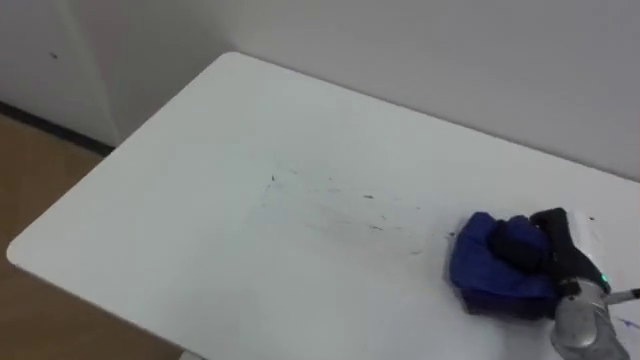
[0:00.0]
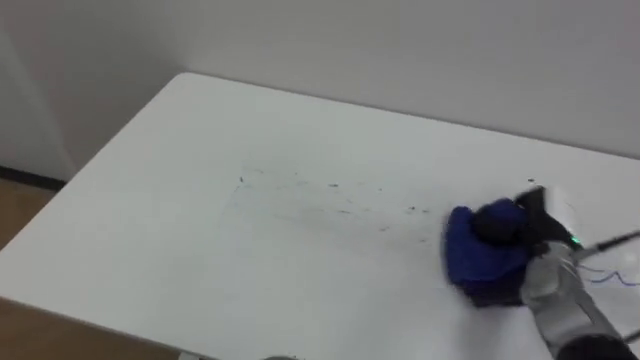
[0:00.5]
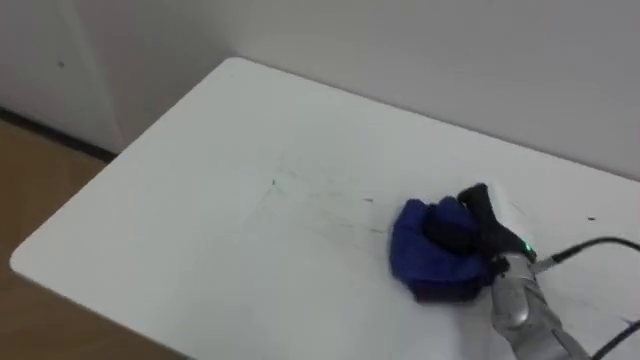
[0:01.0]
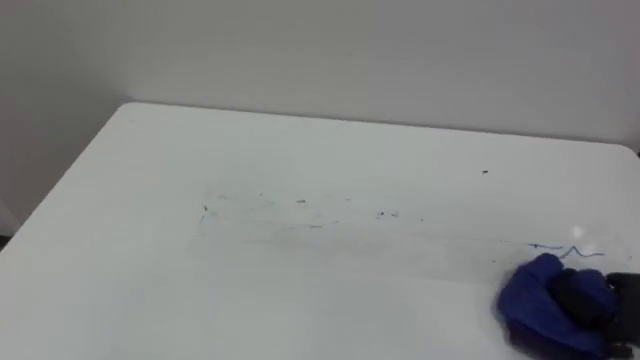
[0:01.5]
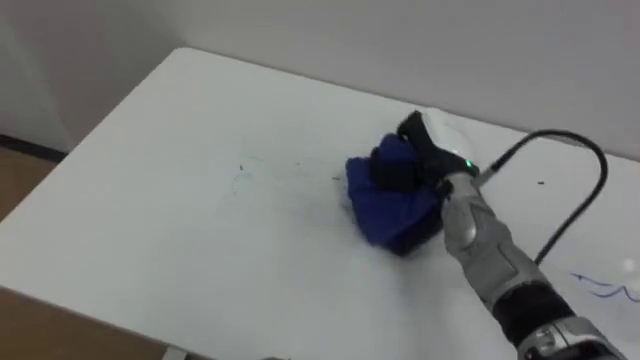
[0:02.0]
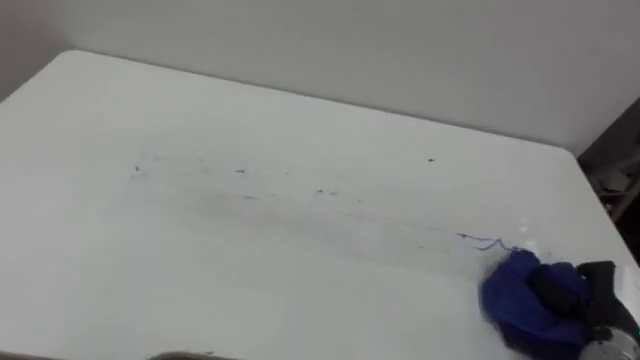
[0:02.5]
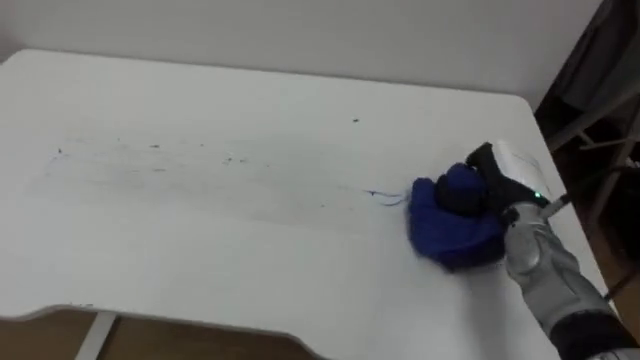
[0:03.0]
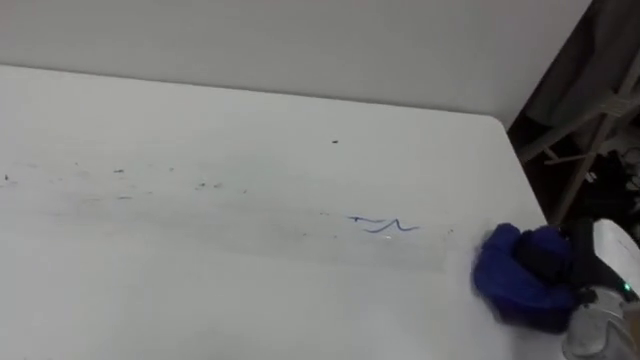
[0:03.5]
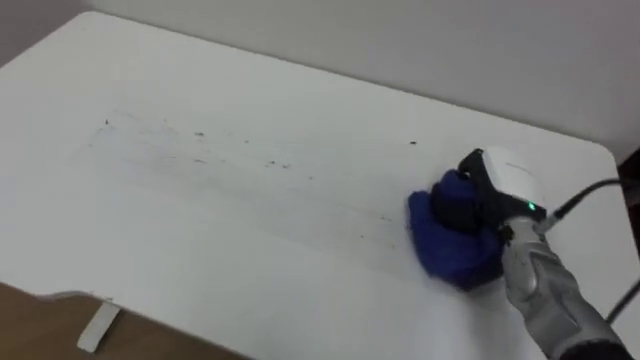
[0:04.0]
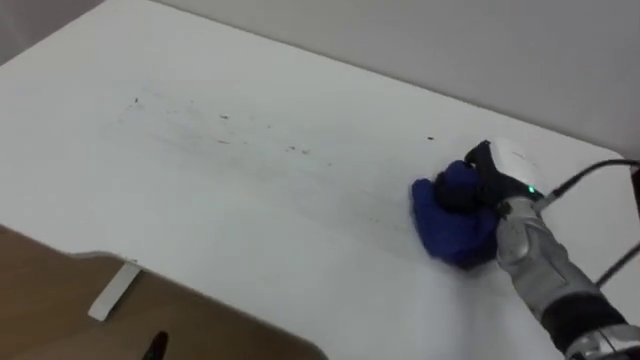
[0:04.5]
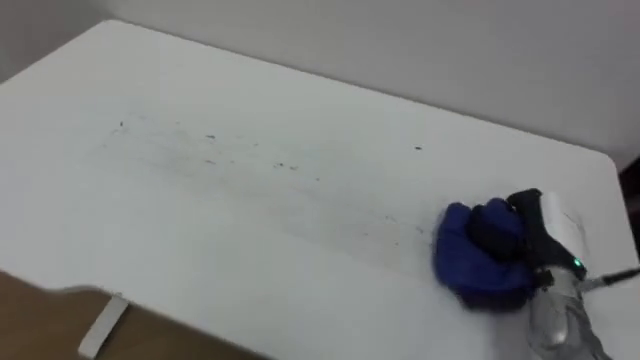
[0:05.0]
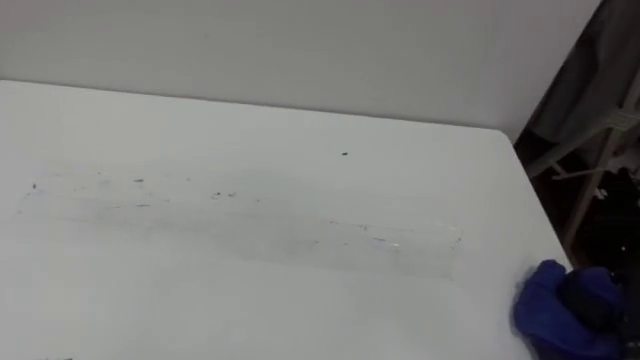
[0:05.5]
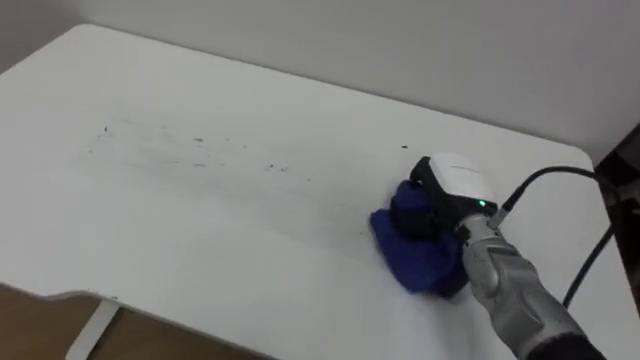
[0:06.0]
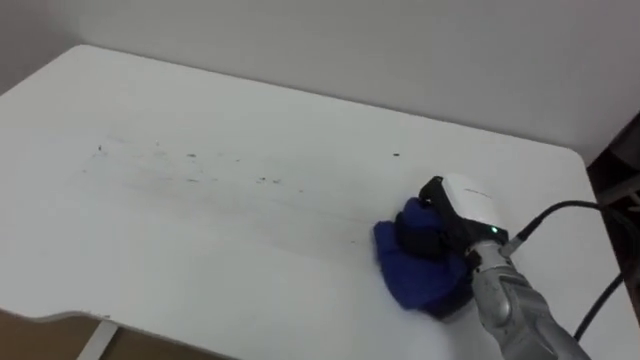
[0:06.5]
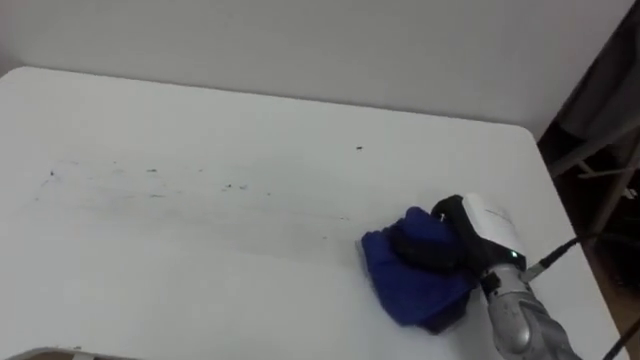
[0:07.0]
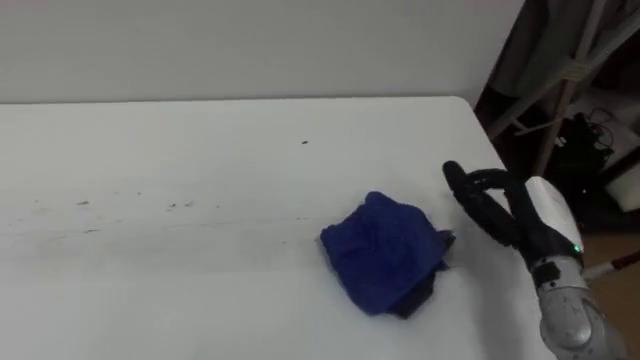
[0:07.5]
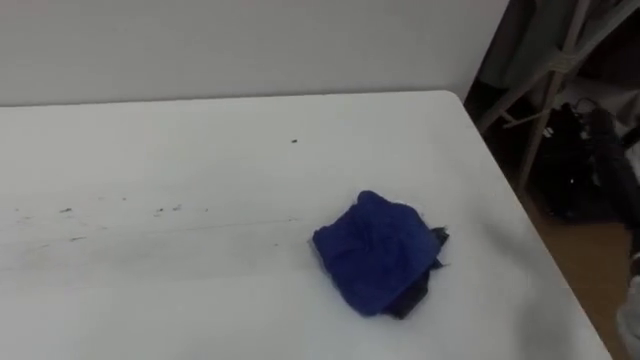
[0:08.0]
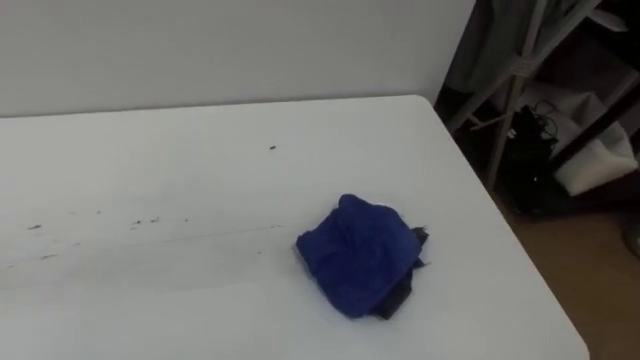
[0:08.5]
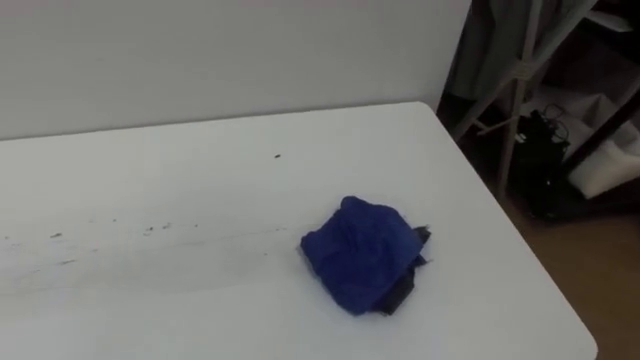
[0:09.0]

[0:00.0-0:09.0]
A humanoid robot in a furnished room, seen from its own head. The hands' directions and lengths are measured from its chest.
Task of the whole recording: Wipe the blue pen marks off the table with the rag.
0:00.0 to 0:02.0: The right hand moves left and right over some 25 cm, changing direction 2 times.
0:02.0 to 0:04.5: The right hand moves left and right over about 20 cm, changing direction 3 times.
0:04.5 to 0:07.0: The right hand goes about 5 cm backward, and reaches about 15 cm to the right, then returns.

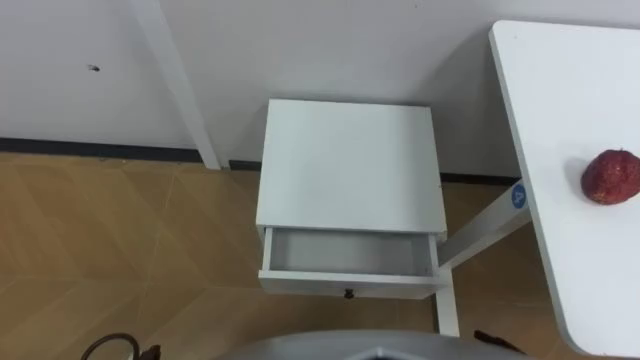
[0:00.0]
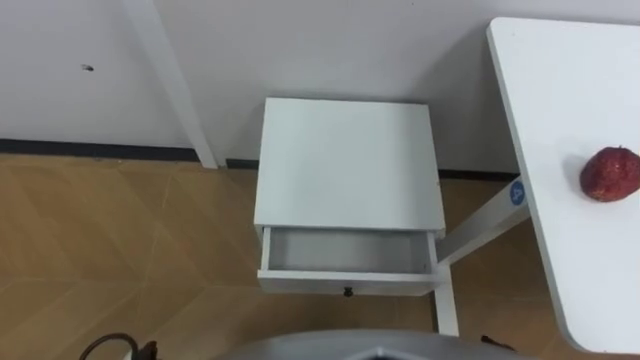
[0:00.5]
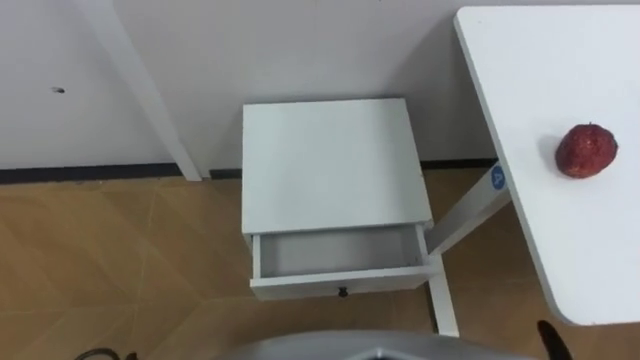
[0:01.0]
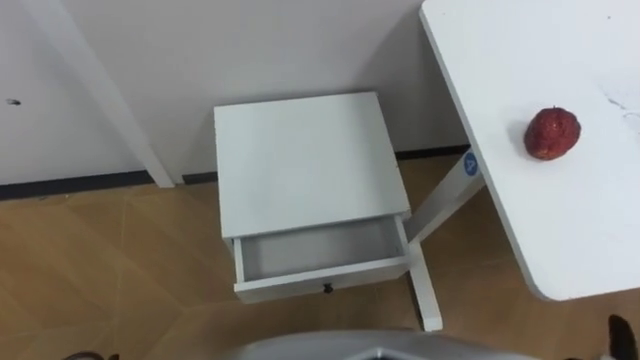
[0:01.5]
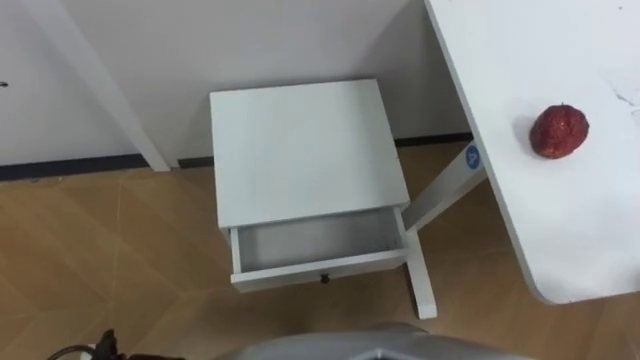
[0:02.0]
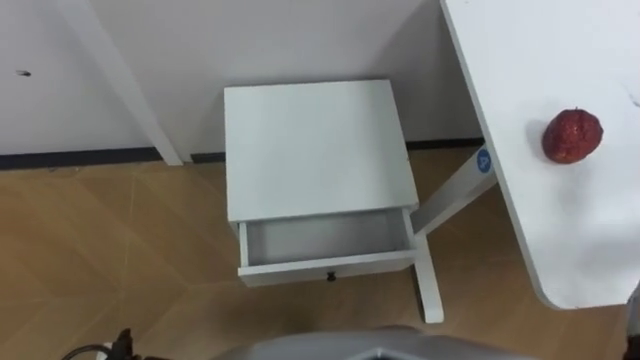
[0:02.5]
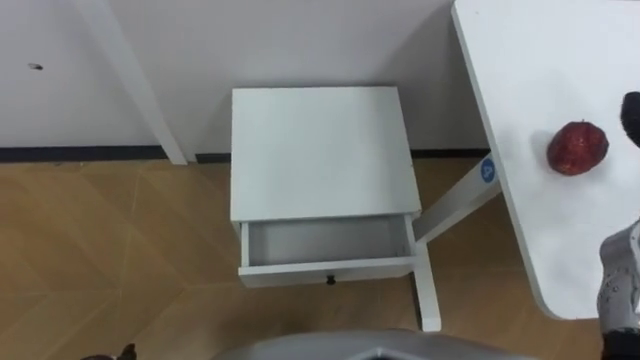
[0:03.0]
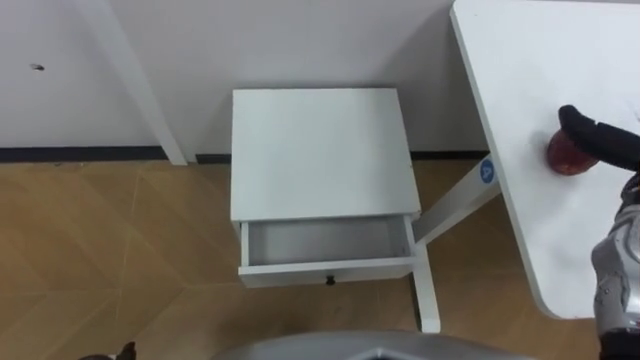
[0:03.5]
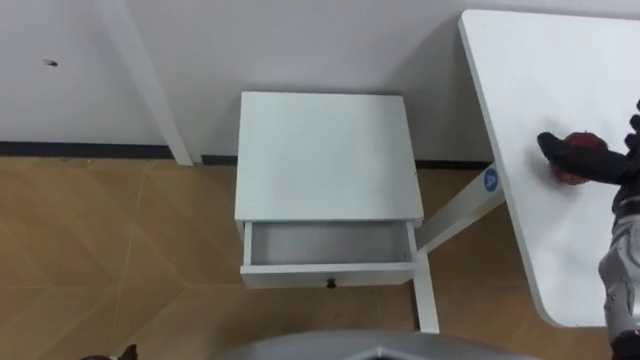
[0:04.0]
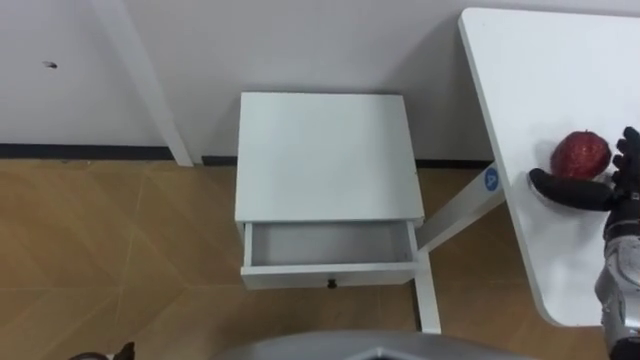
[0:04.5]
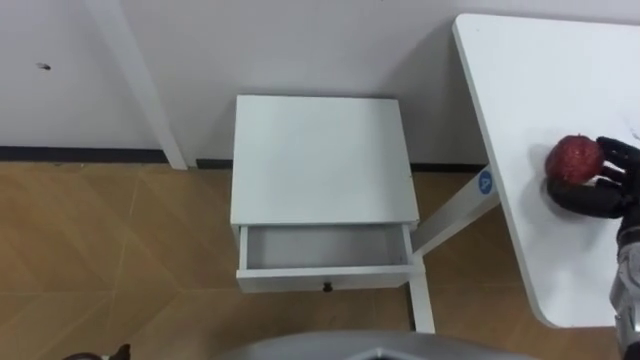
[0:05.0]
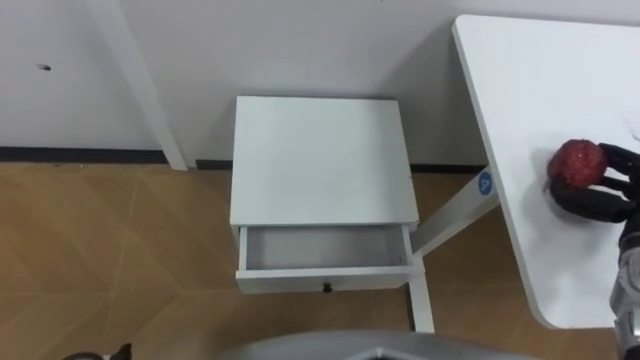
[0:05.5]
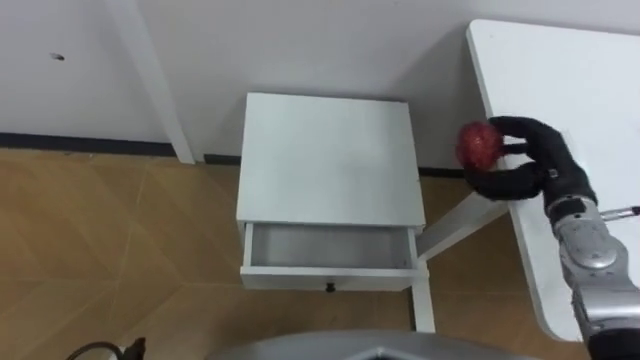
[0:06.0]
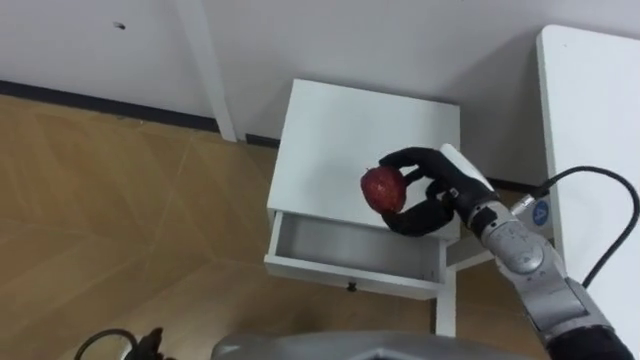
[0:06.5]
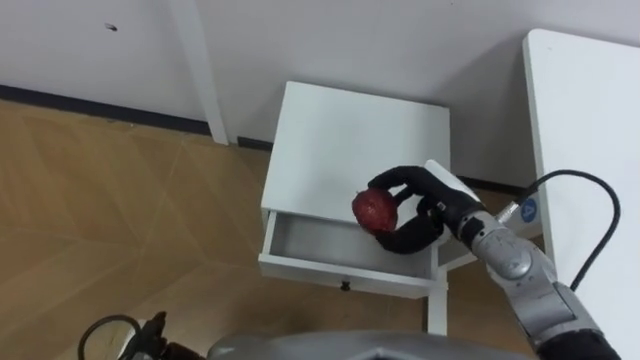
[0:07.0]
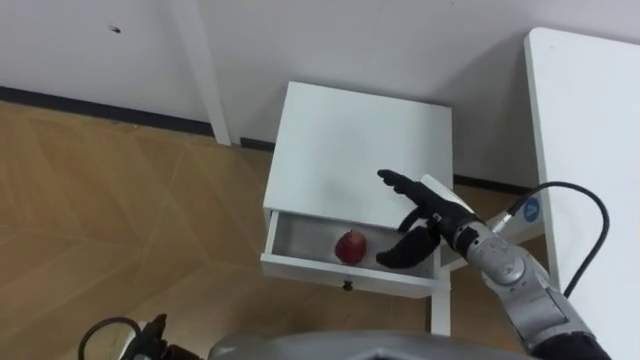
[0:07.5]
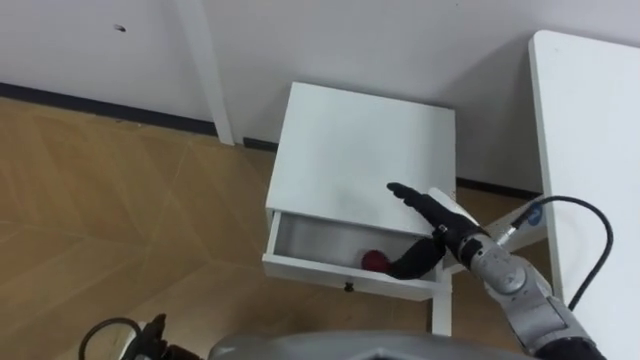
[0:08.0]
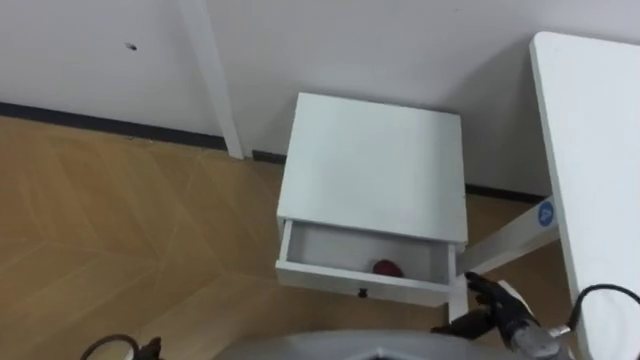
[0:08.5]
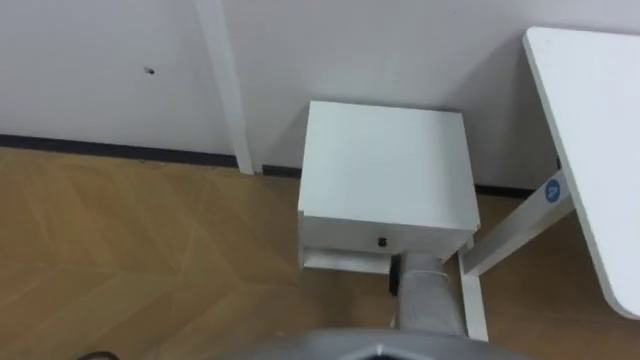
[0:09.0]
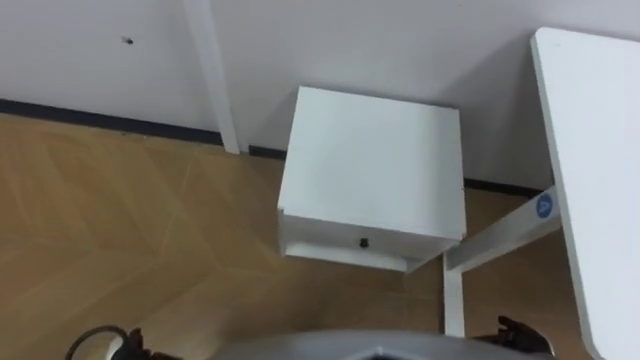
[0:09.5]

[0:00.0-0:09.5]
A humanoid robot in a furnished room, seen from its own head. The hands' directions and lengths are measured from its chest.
Task of the whole recording: Pick up the apple from the table, put it in the drawer, and close the drawer with leg.
0:05.5 to 0:07.5: The right hand is displaced to the left by roughly 25 cm.

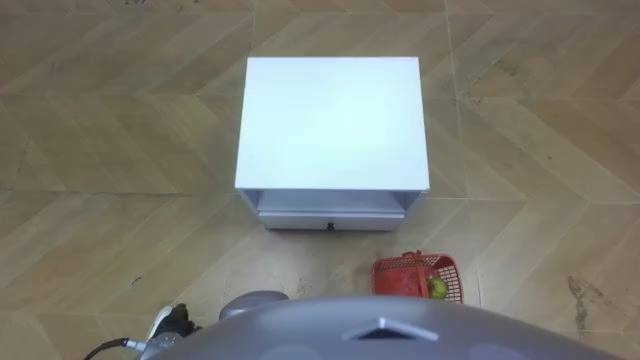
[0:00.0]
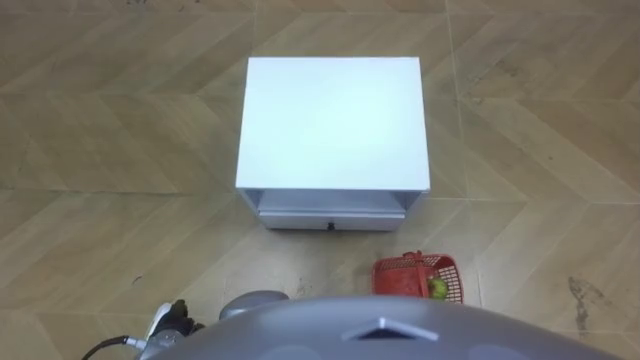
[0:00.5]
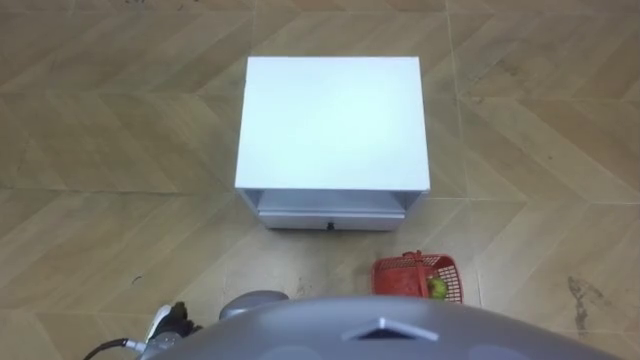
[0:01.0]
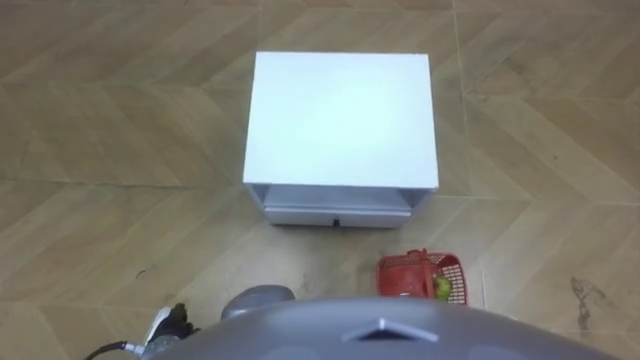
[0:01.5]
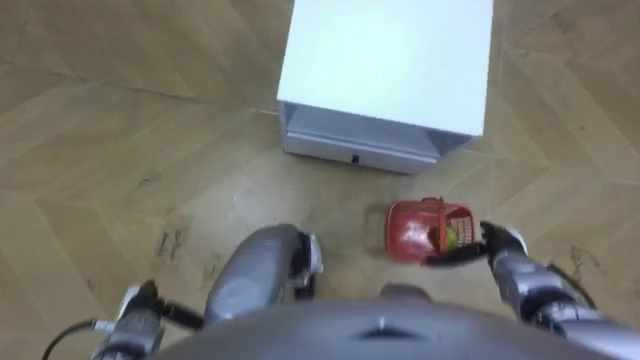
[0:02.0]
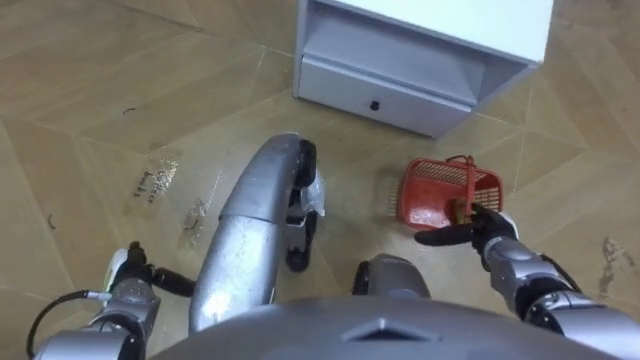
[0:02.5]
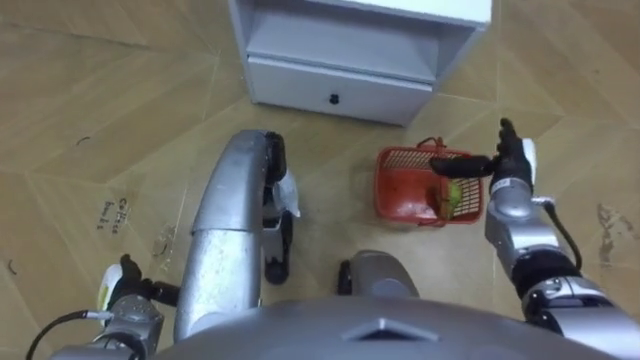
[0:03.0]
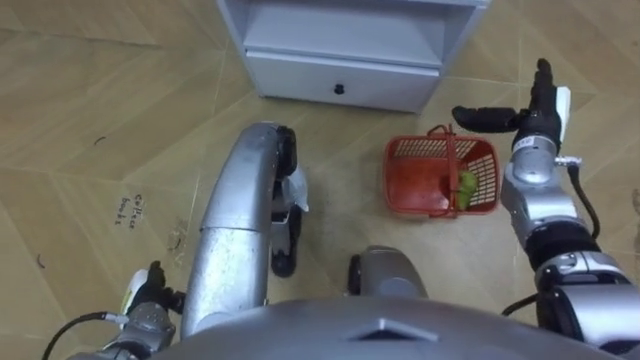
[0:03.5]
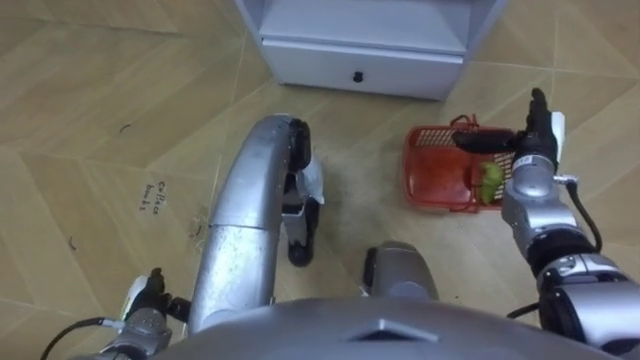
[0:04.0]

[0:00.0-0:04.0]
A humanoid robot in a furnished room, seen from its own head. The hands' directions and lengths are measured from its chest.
Task of the whole recording: Pick up the fruit basket from the floor and place it on the cabinet.
0:02.0 to 0:04.0: The right hand travels forward and upward by about 20 cm.
